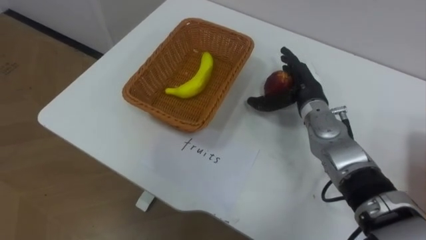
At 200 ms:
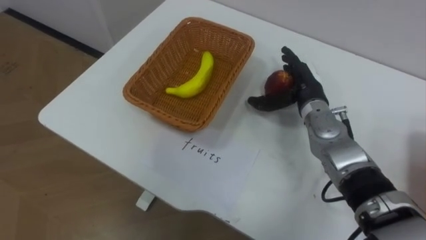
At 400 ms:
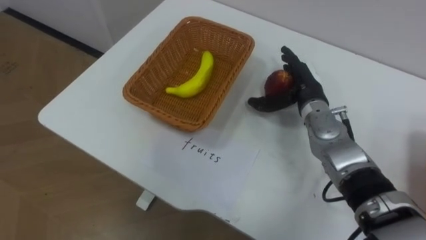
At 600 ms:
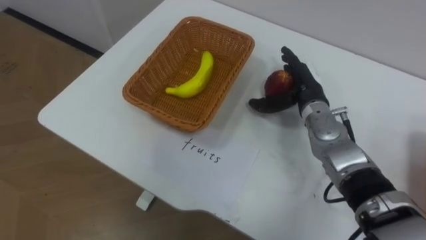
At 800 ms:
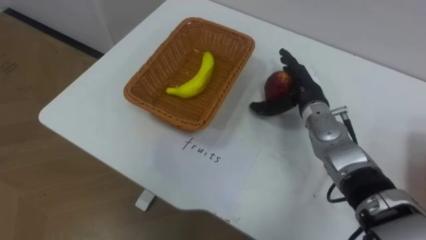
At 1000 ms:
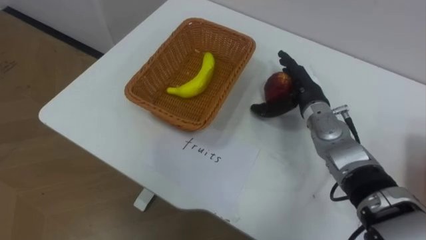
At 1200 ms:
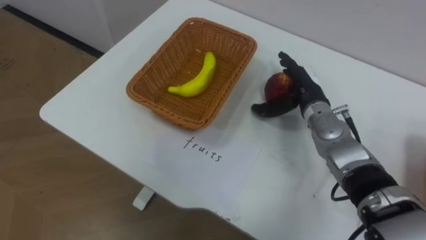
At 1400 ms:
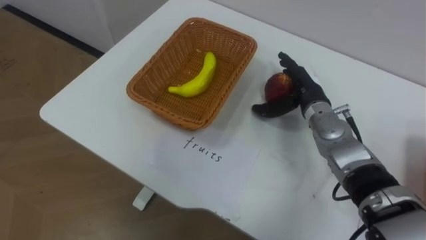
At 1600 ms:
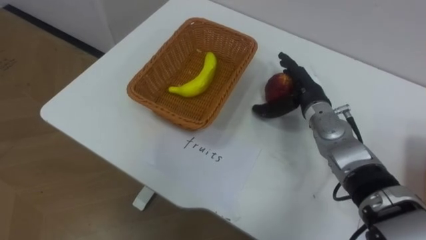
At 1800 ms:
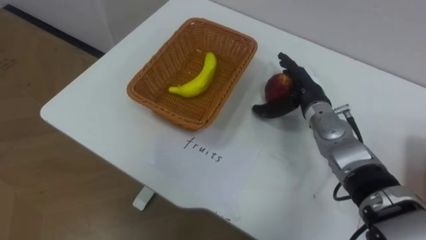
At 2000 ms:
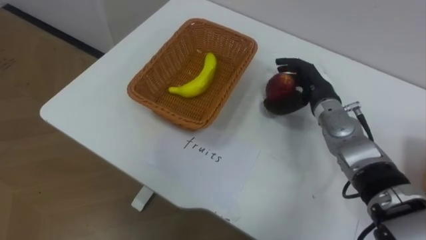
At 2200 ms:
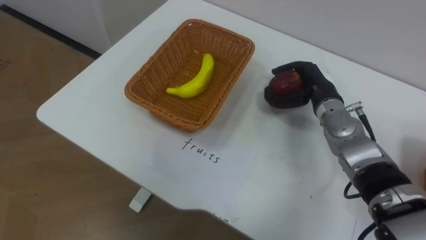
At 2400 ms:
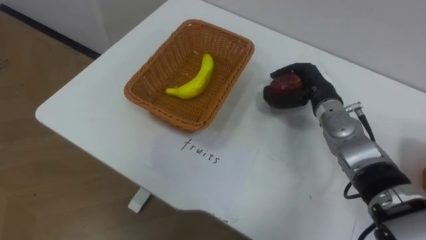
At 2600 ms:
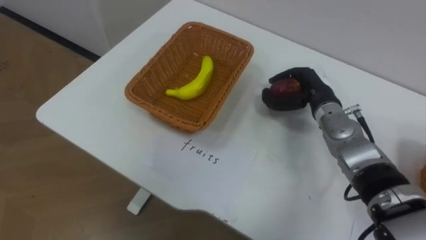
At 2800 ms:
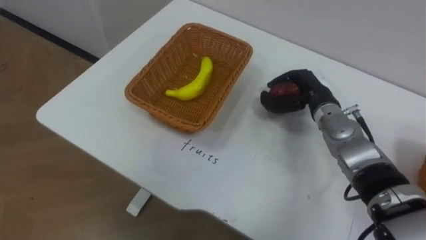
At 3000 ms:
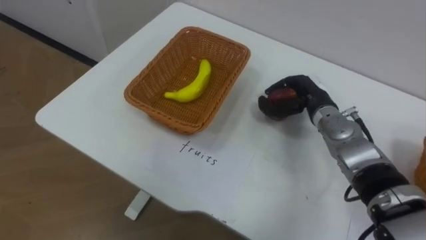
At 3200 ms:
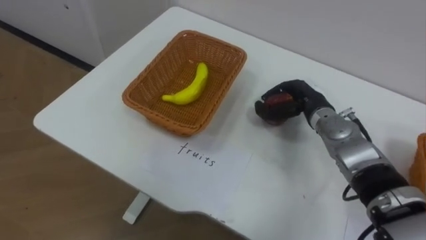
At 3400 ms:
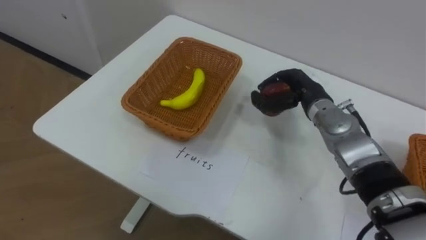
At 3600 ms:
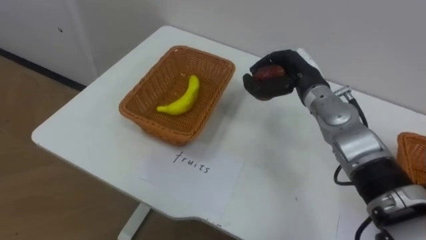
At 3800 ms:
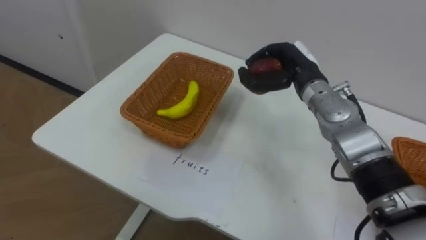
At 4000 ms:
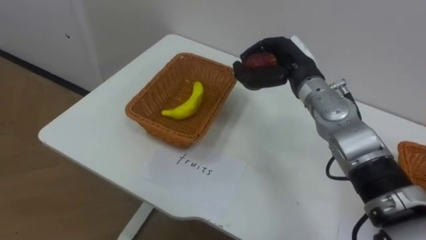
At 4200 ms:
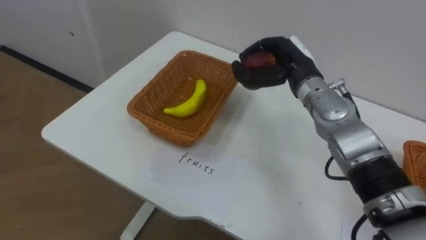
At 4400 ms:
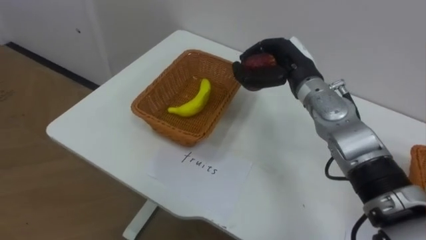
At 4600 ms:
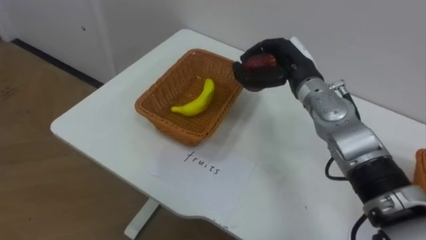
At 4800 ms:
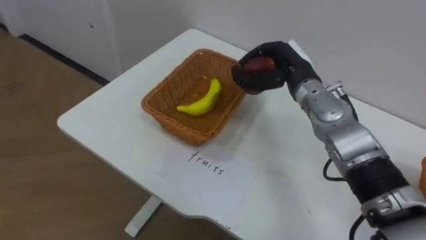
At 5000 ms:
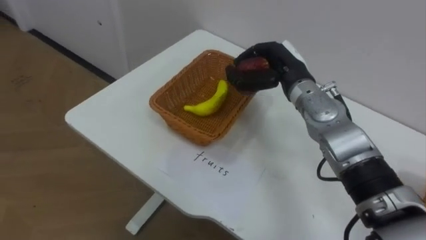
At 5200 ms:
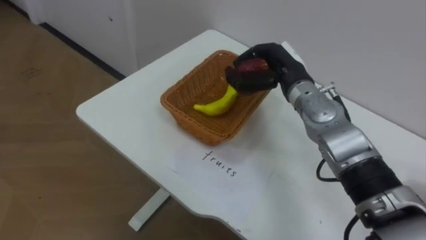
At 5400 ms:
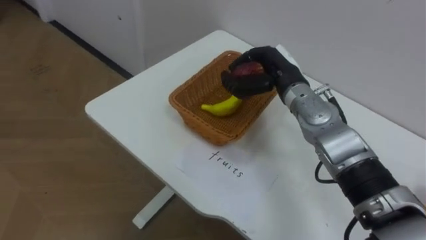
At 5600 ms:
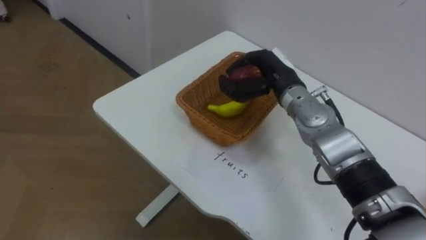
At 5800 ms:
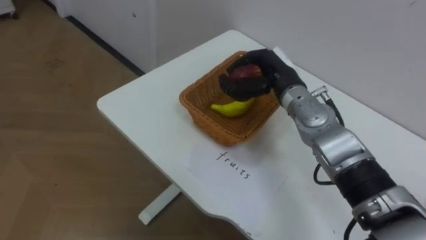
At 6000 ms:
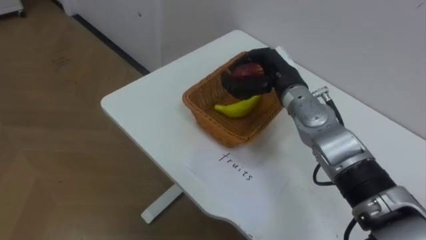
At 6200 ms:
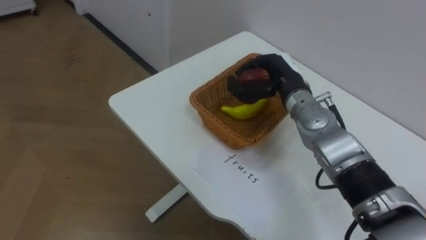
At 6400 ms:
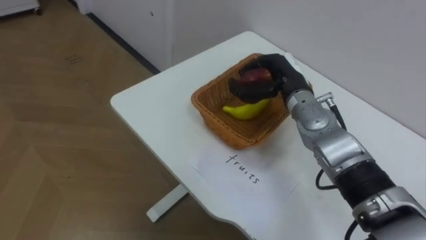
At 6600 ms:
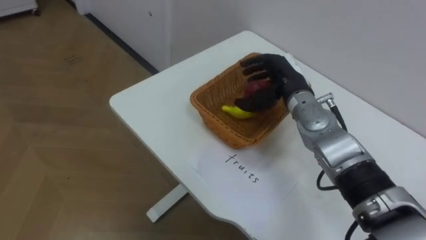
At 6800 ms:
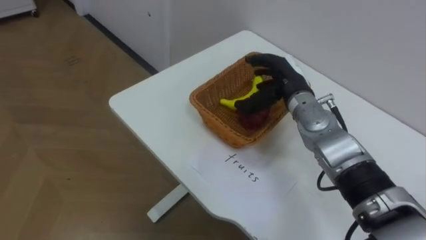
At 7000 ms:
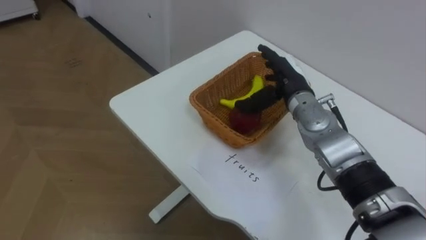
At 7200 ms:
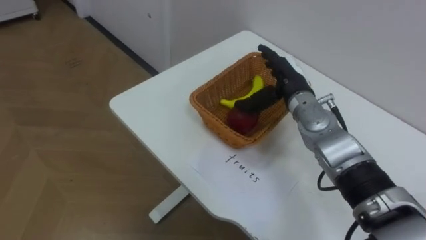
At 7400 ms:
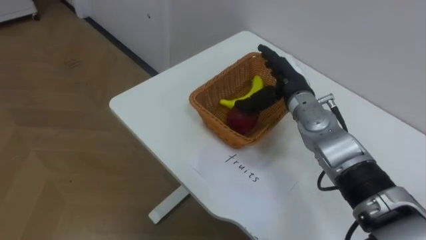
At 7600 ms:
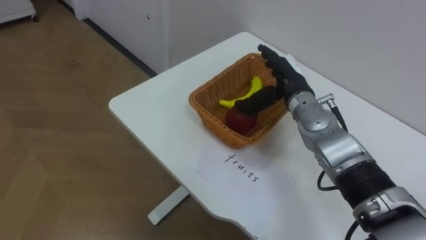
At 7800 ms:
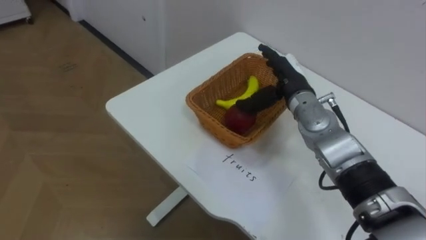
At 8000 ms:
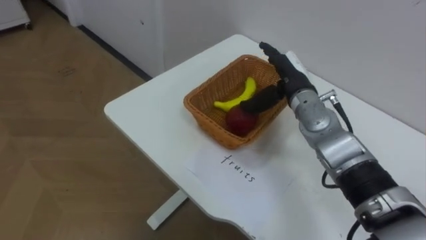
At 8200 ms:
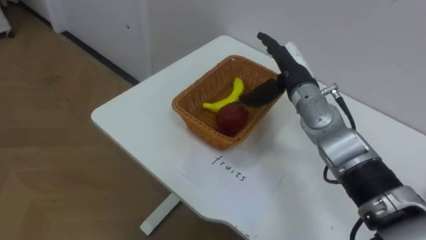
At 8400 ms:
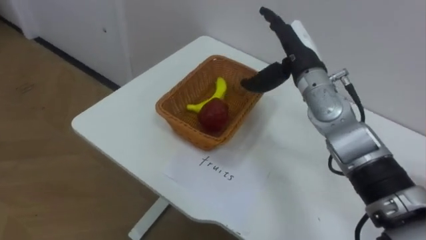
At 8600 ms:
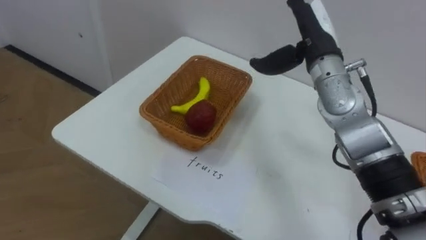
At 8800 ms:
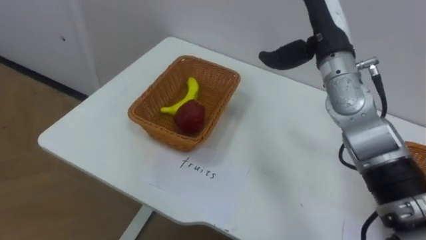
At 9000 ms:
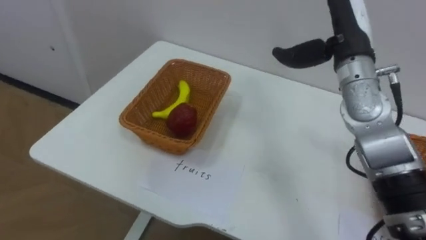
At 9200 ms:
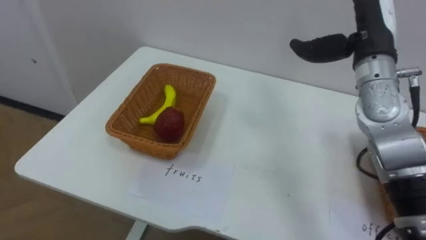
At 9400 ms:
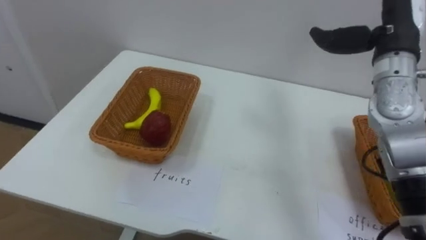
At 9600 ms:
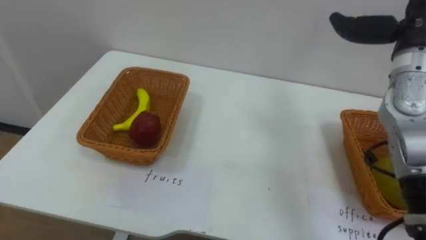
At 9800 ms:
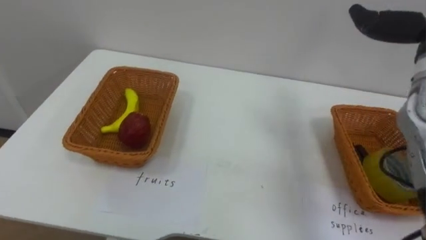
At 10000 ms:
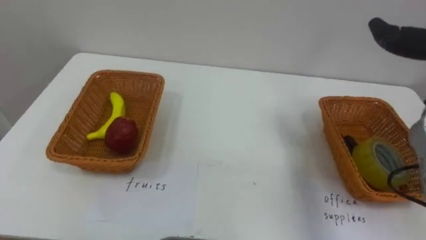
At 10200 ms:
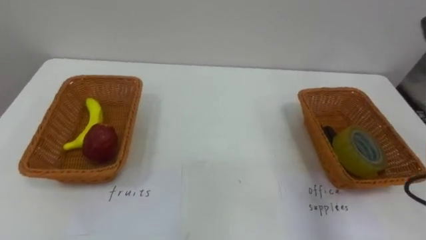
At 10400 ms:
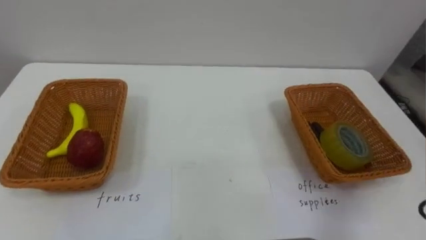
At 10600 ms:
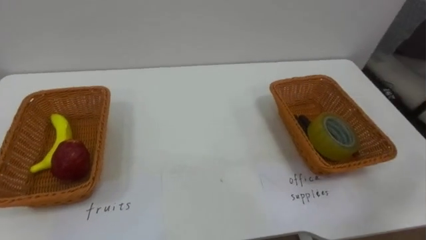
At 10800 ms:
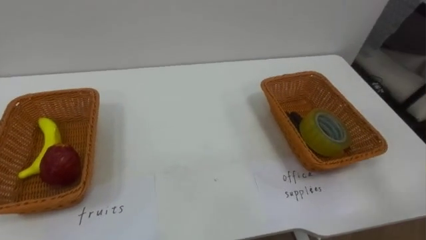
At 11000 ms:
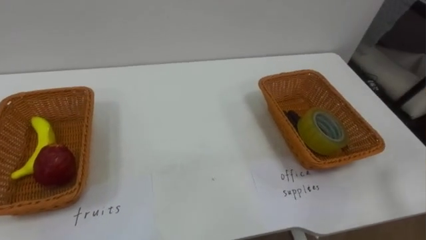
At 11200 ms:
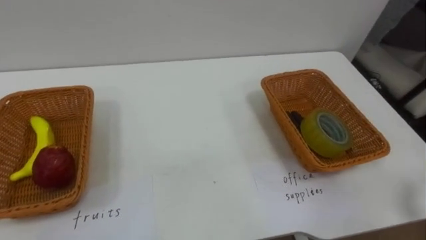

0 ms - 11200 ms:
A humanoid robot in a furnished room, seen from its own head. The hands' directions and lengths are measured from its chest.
Task of the whole recording: Separate the items on the table and place them into the two baskets.
1600 ms - 3200 ms: The right hand closes.
3200 ms - 4800 ms: The right hand heads upward, covering approximately 10 cm.
6400 ms - 8000 ms: The right hand opens up.
8000 ms - 9600 ms: The right hand heads to the right and upward, covering about 20 cm.

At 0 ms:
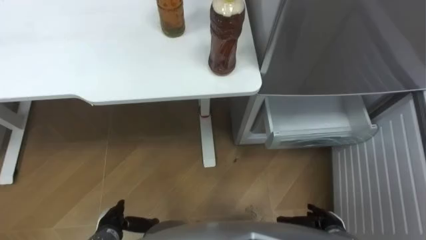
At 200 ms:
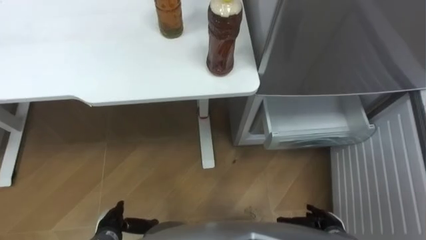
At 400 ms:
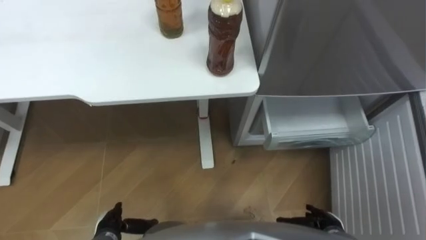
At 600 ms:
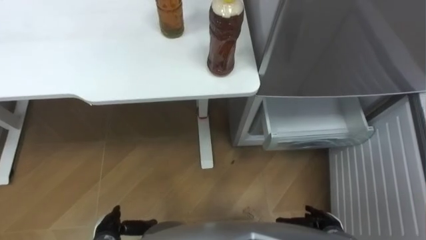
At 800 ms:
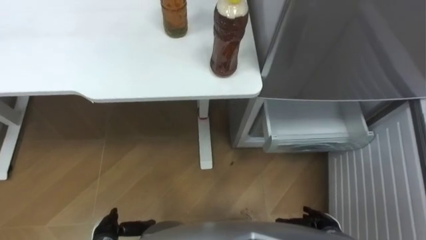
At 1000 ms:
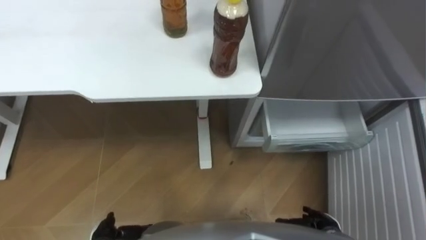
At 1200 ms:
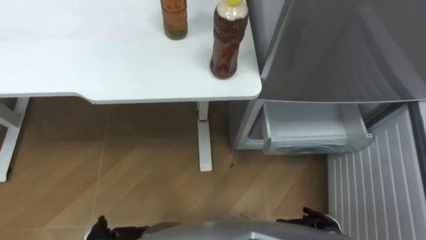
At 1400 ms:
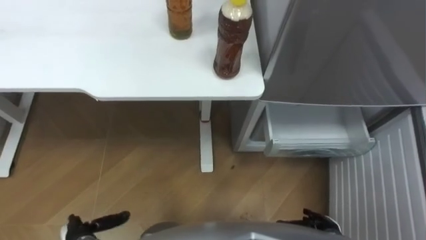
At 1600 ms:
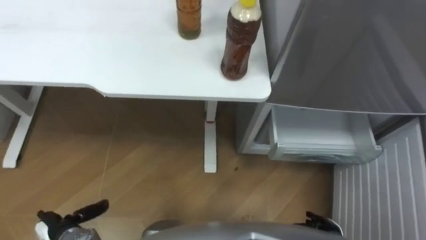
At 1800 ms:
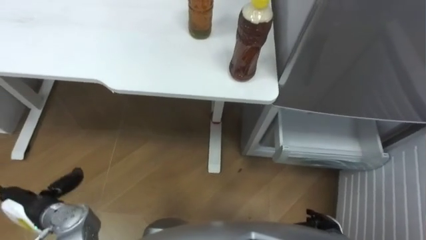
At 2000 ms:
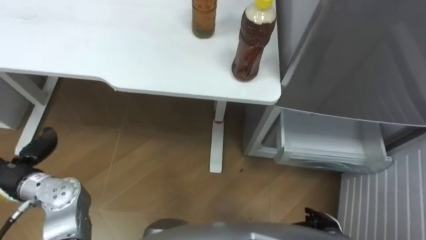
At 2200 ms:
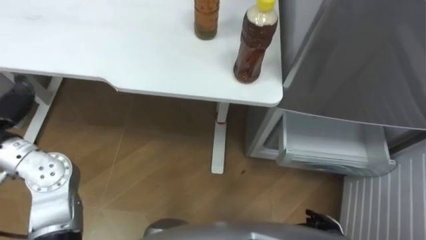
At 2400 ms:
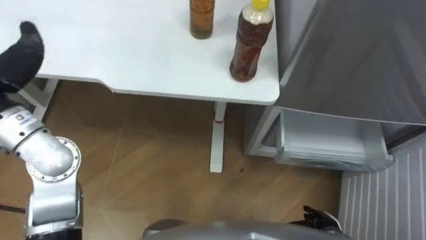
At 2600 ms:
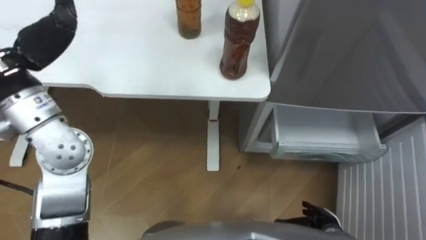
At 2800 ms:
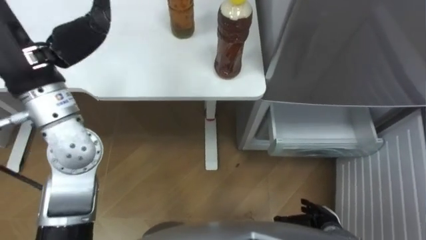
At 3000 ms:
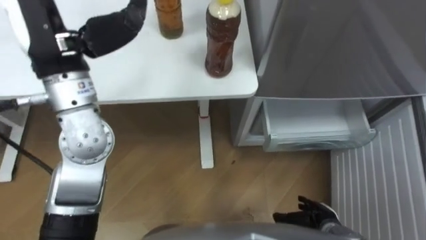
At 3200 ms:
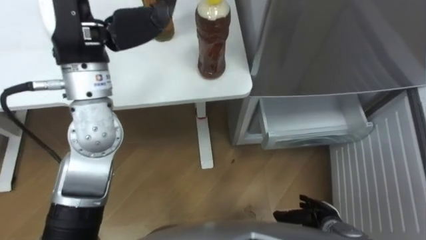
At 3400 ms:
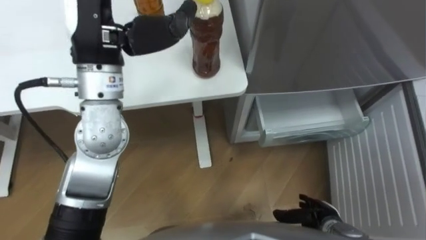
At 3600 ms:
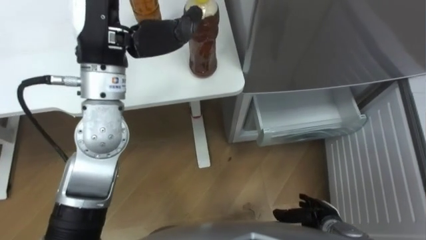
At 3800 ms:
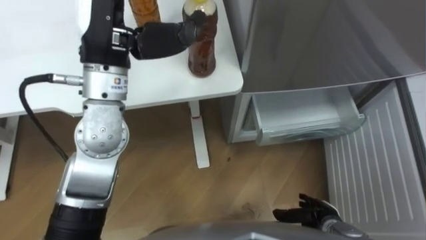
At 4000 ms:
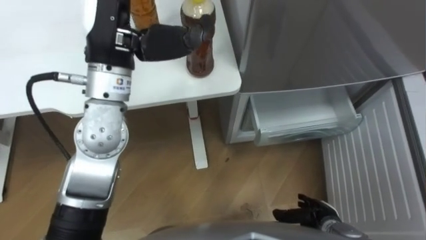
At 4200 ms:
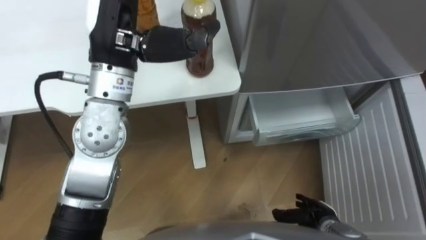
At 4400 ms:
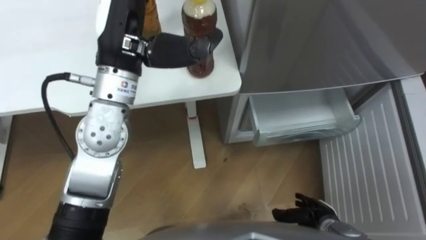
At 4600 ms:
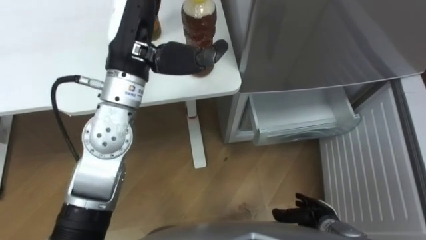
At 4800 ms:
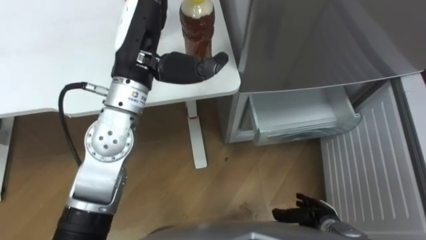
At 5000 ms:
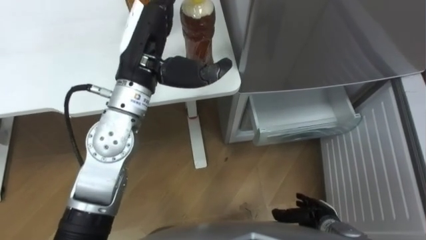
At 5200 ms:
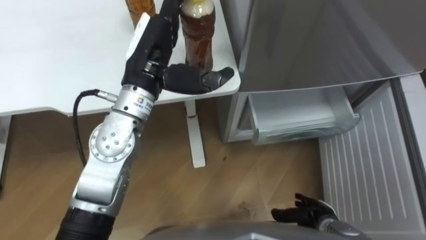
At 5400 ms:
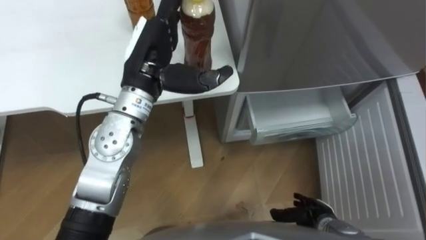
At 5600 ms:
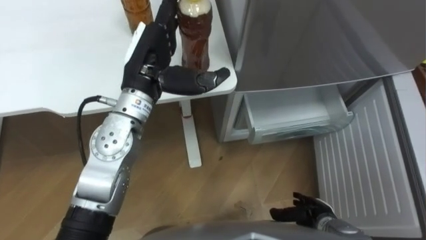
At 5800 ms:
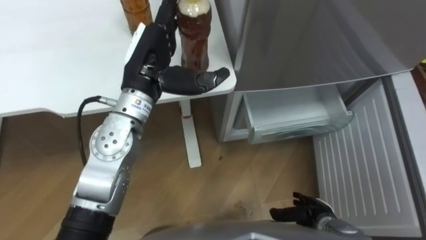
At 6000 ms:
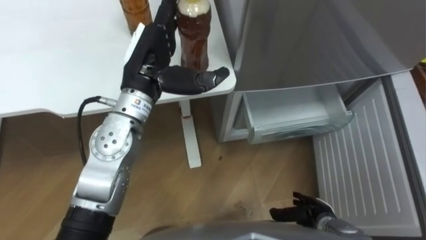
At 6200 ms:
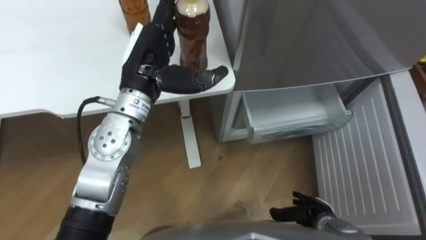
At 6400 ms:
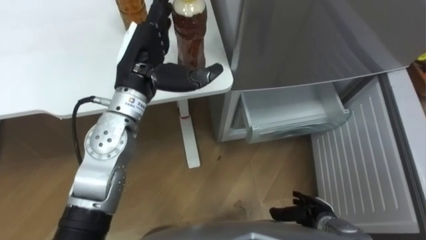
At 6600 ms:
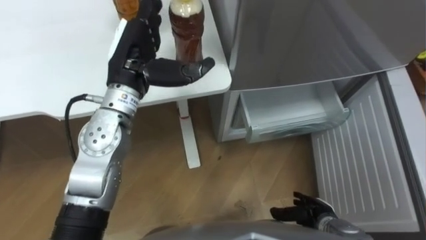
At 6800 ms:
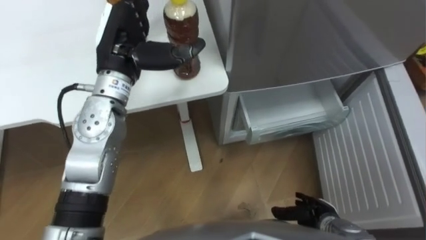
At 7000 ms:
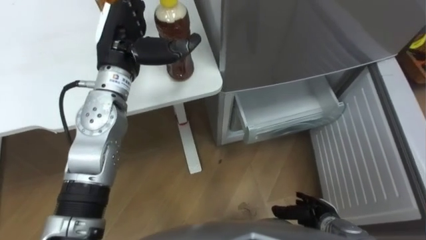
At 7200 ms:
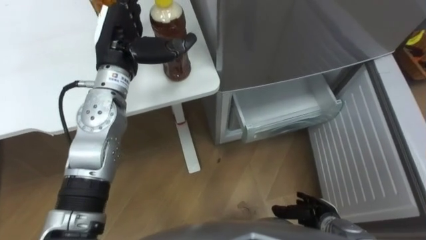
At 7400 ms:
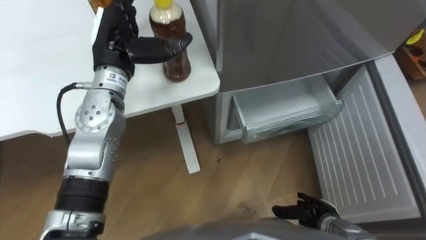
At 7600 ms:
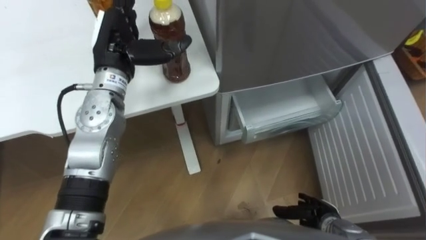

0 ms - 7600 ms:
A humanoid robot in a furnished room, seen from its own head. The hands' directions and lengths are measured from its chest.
Task of the whole recording: Place the drink on the table on the bottom shelf of the refrigerator, then close the drawer and the refrigerator door.
3000 ms - 4600 ms: The left hand shifts some 10 cm to the right.
4600 ms - 6000 ms: The left hand goes approximately 5 cm downward.
6000 ms - 7600 ms: The left hand shifts roughly 5 cm to the left.
